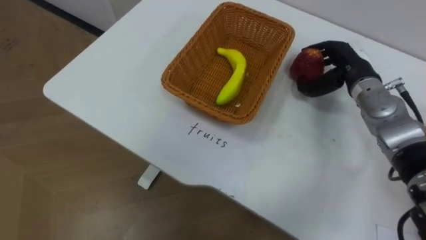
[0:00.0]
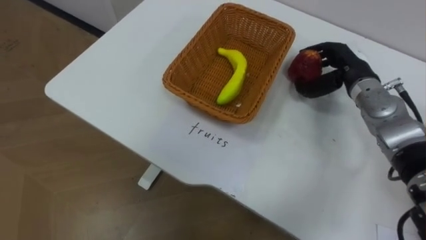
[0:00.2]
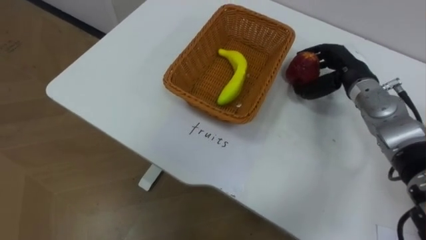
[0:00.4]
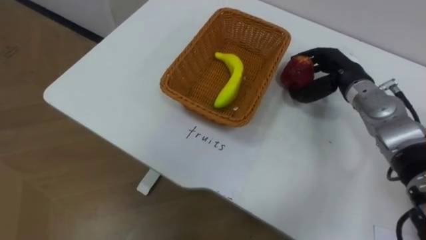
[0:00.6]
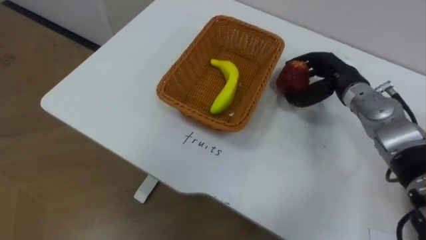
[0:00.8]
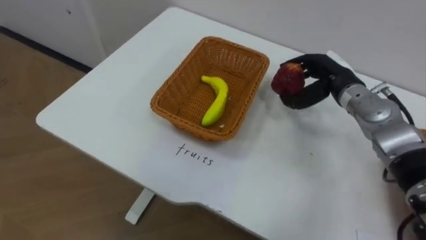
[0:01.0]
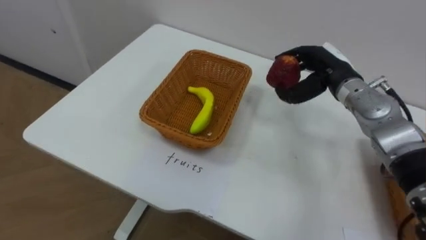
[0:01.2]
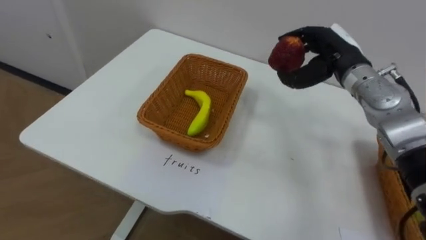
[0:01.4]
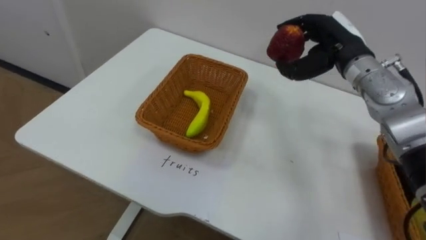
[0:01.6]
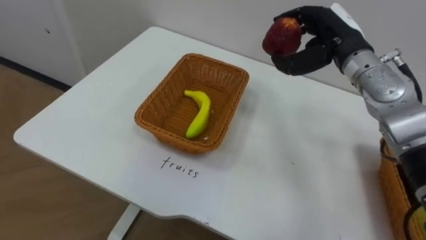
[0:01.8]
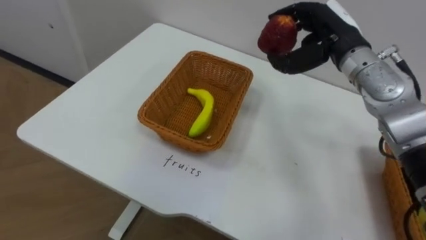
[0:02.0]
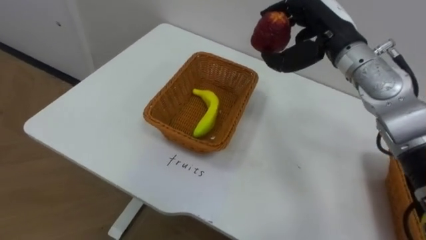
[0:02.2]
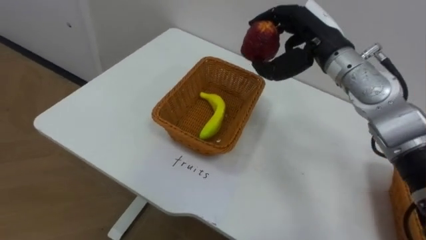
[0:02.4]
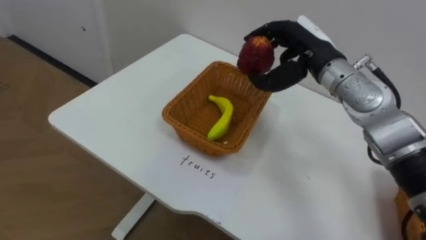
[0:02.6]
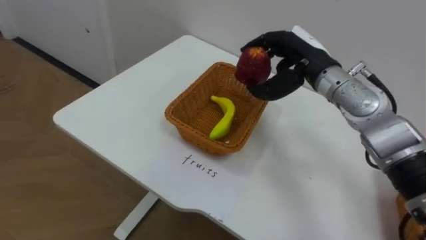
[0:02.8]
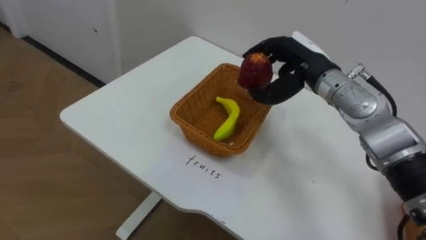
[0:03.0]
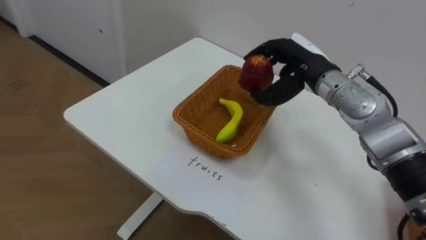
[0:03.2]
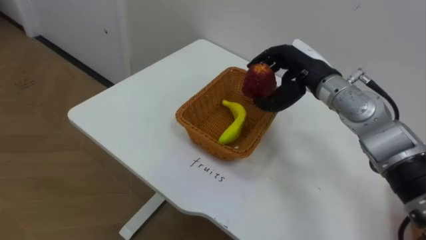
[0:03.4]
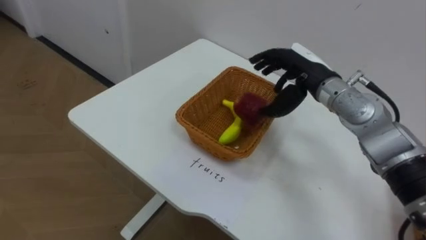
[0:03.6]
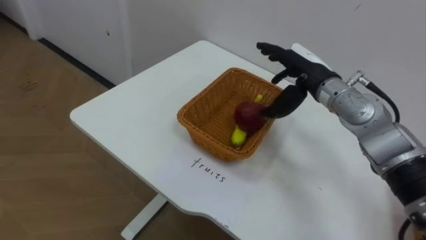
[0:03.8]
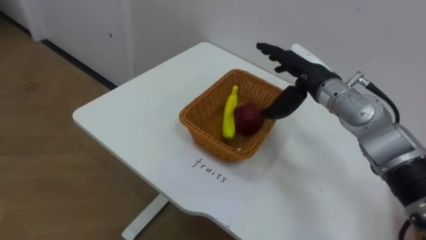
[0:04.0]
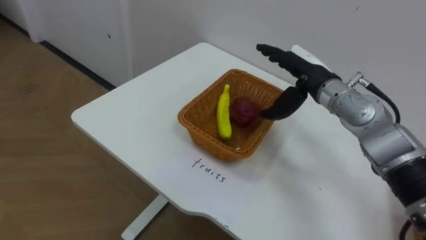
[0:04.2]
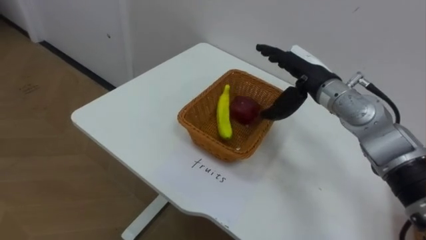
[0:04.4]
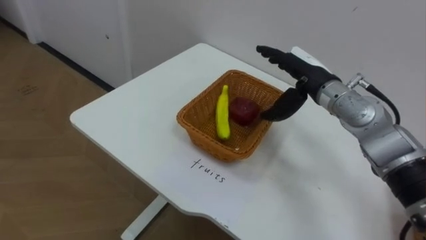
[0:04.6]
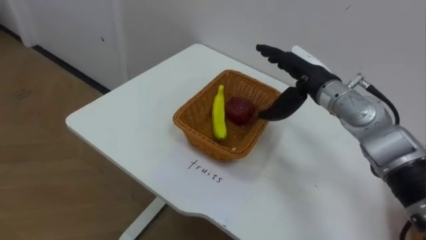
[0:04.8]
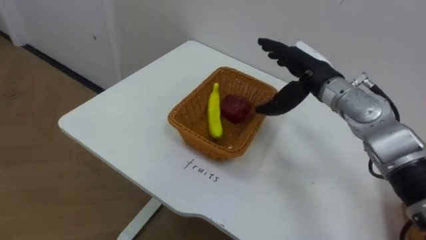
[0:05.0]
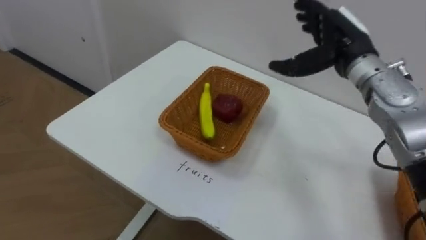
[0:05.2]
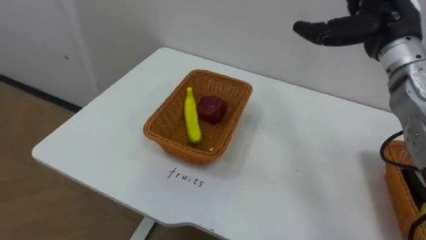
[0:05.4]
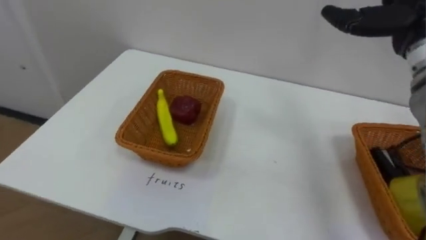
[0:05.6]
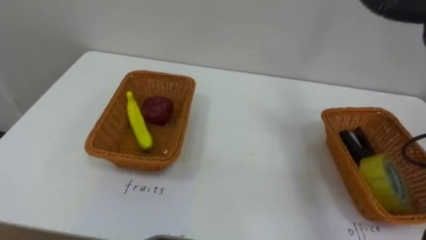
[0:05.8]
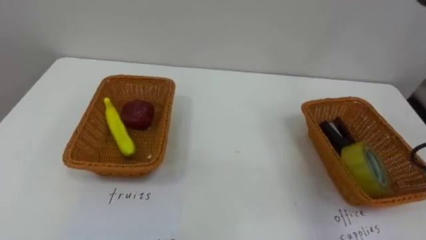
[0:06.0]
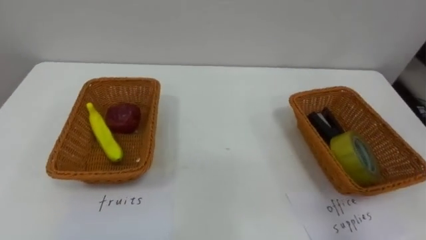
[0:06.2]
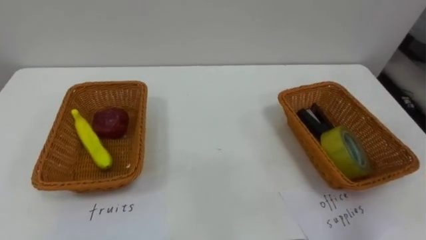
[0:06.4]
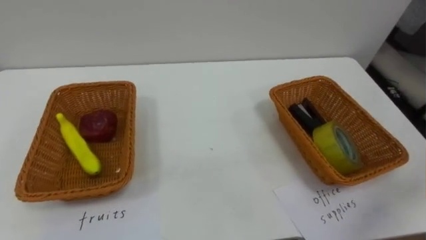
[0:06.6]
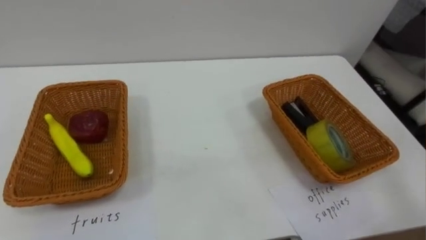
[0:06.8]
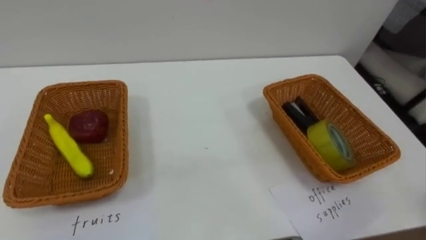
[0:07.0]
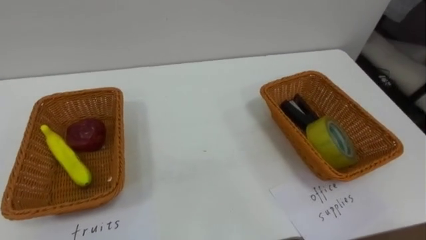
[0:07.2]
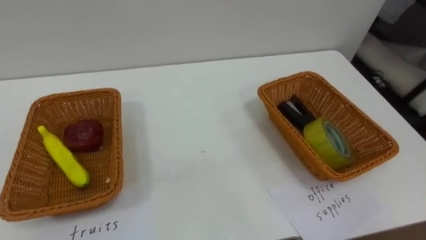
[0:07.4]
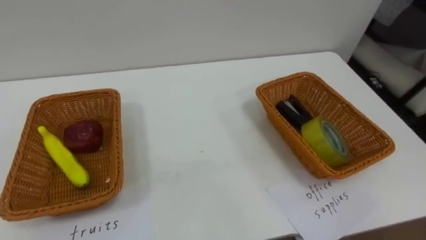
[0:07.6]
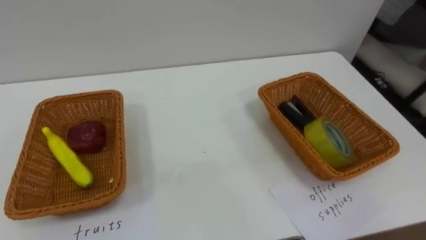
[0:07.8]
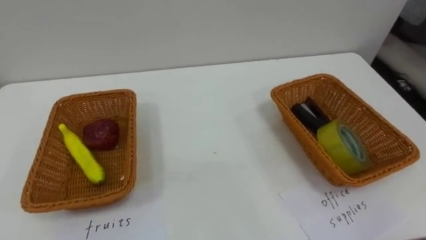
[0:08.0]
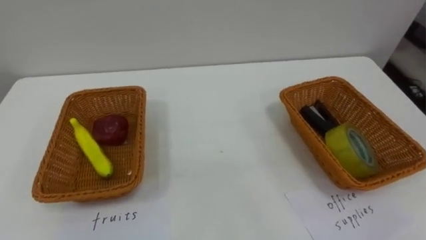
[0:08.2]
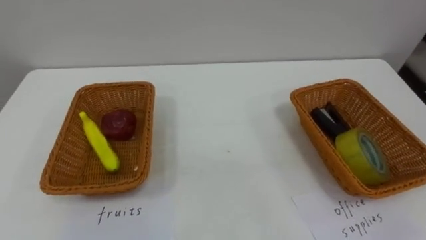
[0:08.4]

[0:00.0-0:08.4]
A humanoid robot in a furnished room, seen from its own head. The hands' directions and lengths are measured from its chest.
Task of the whole recording: Separate the items on the table and place them into the two baskets.
0:00.0 to 0:01.4: The right hand ends up roughly 5 cm from where it was.
0:01.4 to 0:02.8: The right hand goes roughly 5 cm to the left.
0:02.8 to 0:04.2: The right hand opens its fingers.
0:04.2 to 0:05.6: The right hand shifts about 15 cm to the right and upward.

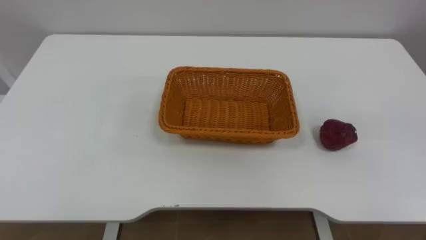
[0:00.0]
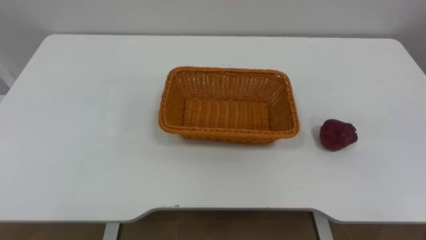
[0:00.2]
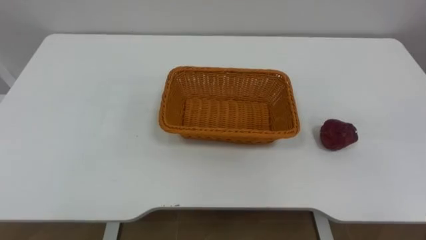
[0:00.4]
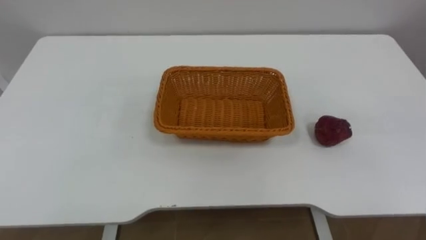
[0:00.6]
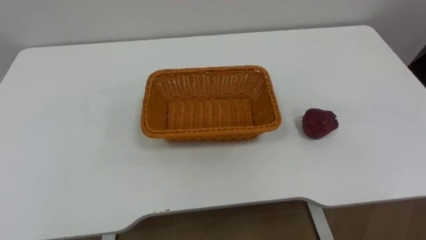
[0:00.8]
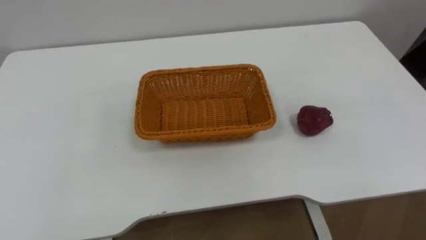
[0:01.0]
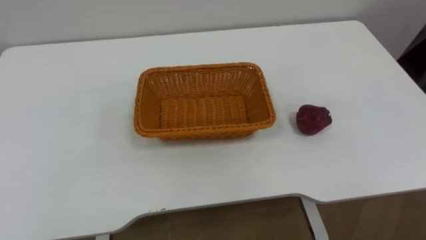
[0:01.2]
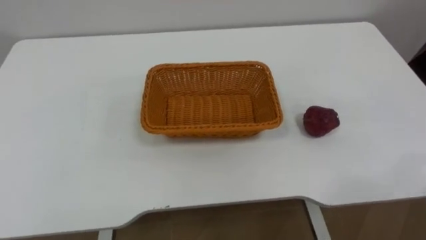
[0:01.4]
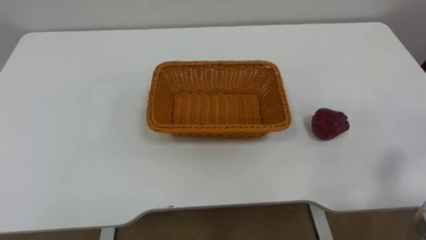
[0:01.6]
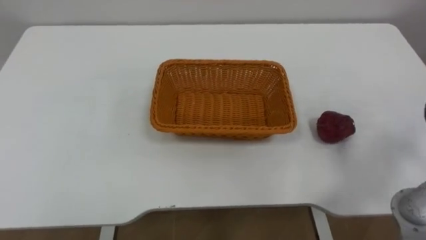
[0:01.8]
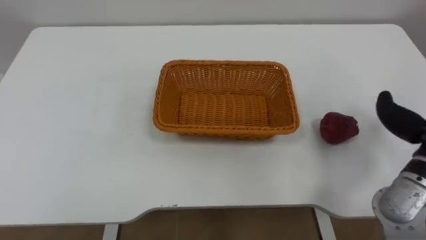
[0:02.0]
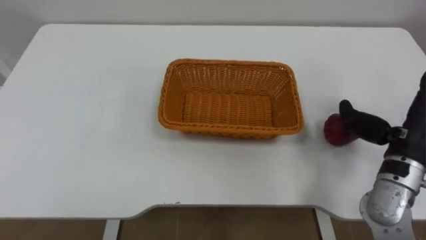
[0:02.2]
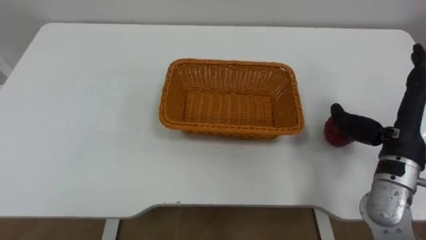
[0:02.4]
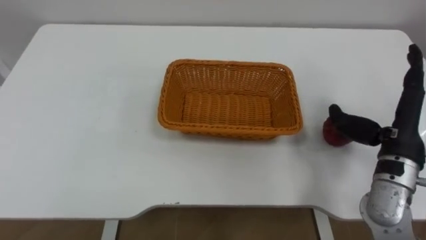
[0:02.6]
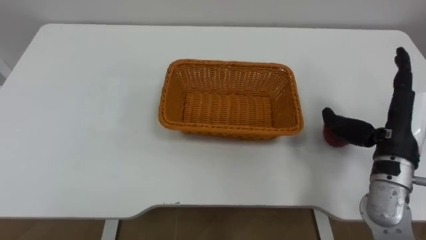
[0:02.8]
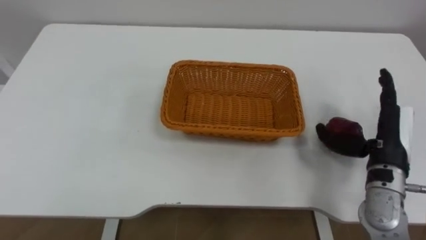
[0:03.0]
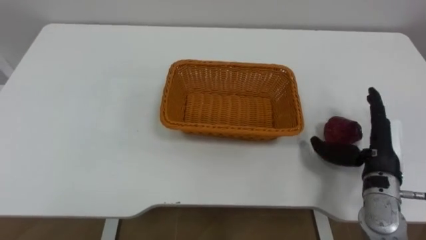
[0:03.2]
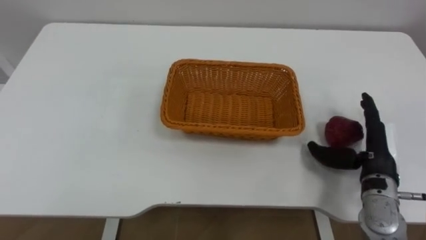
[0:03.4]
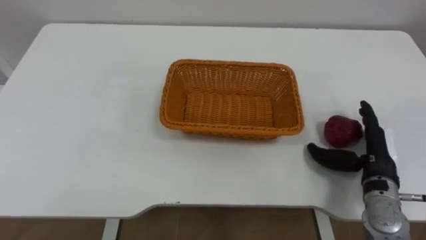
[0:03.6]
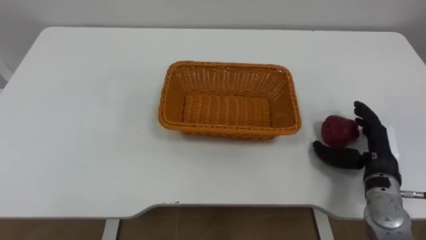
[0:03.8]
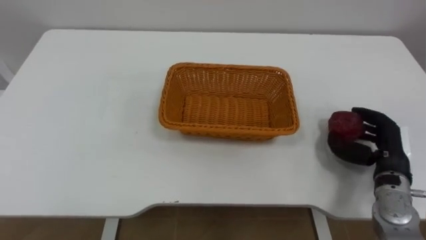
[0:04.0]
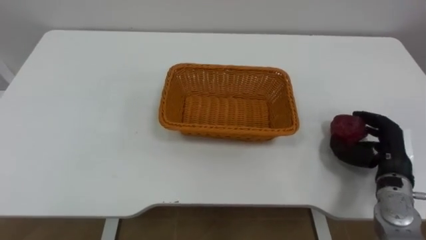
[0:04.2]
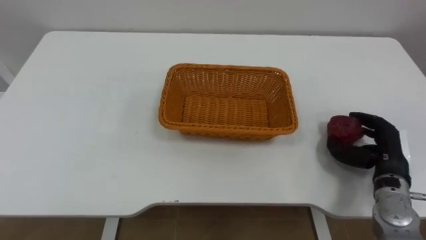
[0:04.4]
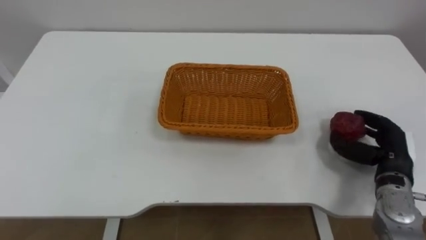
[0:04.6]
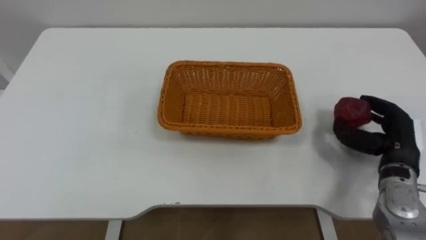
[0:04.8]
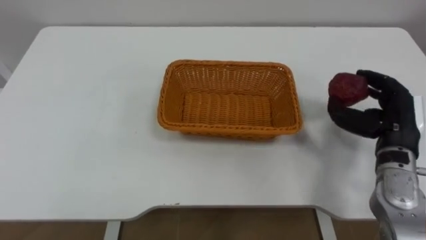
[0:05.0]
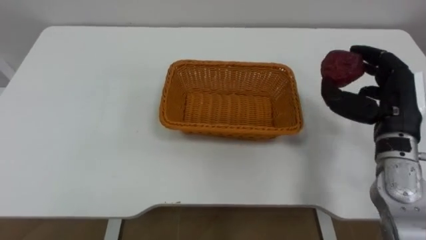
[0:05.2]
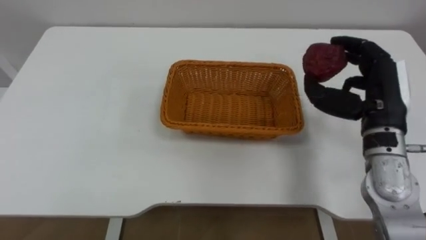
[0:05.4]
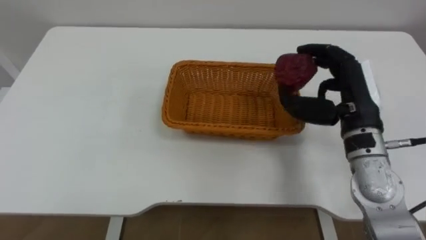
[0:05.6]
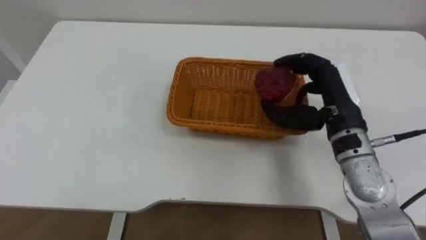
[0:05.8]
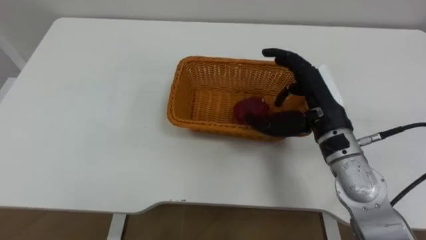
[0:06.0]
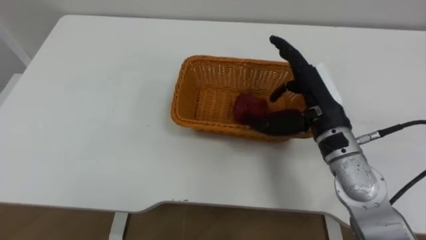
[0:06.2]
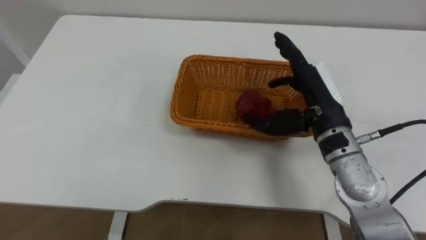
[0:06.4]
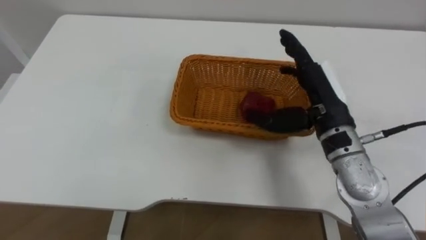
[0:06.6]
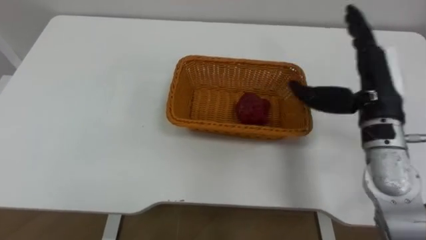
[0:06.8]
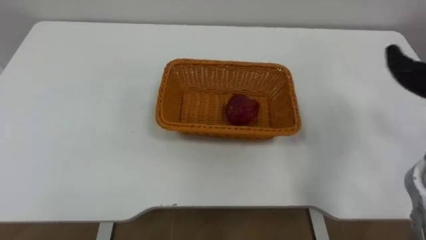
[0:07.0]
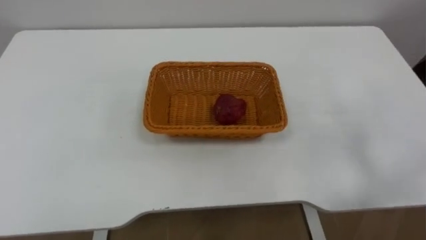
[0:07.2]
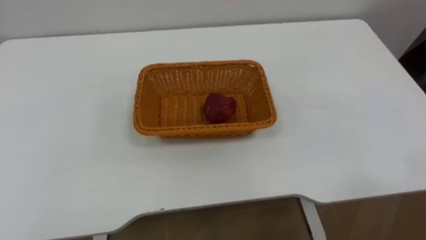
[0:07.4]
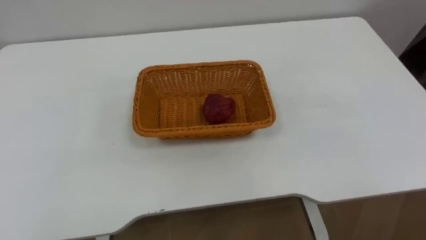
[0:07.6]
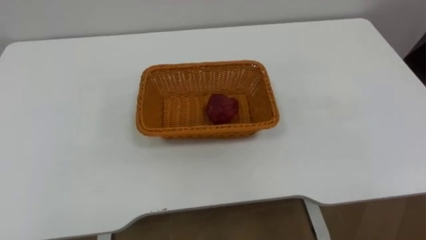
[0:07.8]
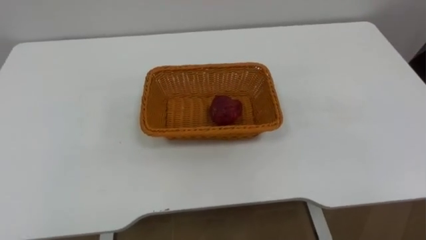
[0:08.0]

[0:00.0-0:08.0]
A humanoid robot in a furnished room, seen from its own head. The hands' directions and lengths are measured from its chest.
Task of the whole recording: Pick the apple and place it in the box.
0:03.2 to 0:04.8: The right hand closes up.
0:04.8 to 0:06.4: The right hand moves to the left and upward, some 20 cm, and opens its fingers.
